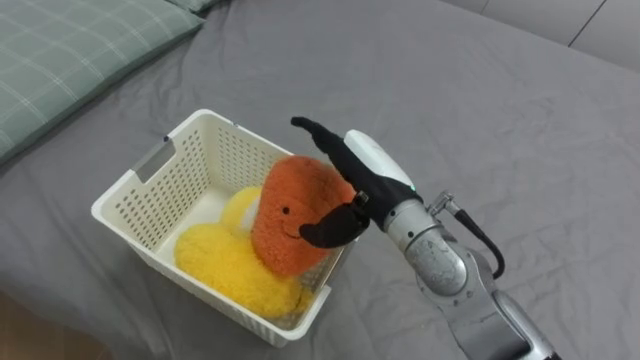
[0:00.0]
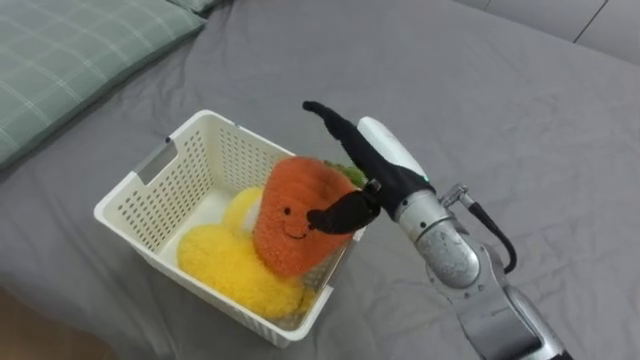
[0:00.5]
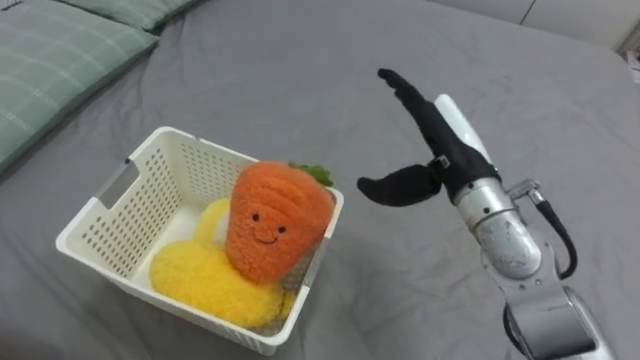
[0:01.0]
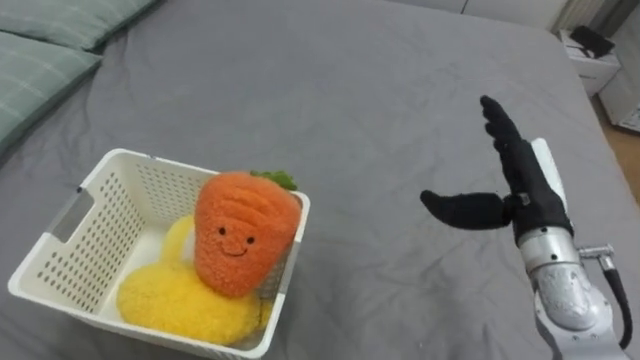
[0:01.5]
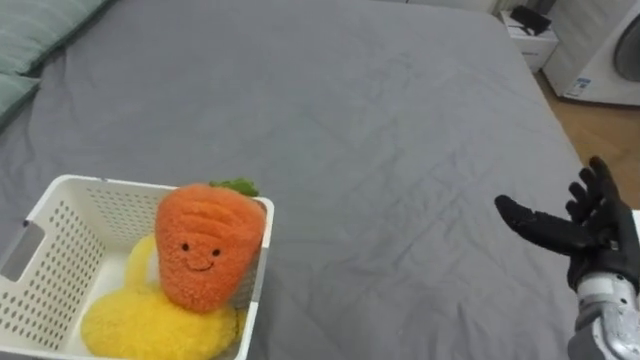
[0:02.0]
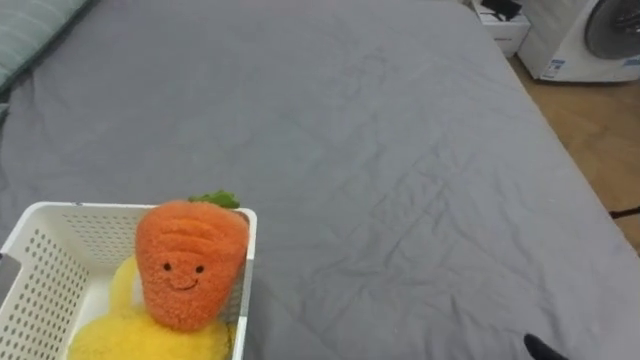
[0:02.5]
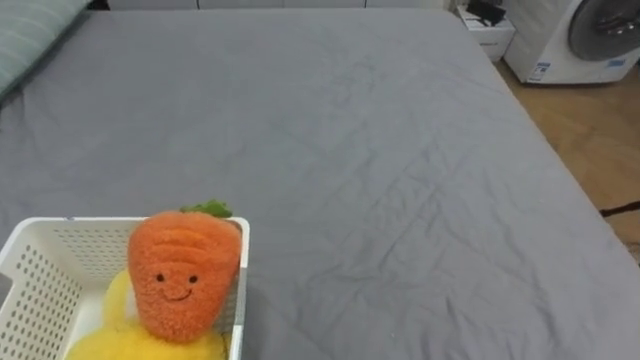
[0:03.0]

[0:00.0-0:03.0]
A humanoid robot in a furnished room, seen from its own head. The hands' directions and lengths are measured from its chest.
Task of the whole recording: Put the toys on the bed into the basket on the left.
0:00.0 to 0:01.5: The right hand is displaced to the right by some 20 cm.

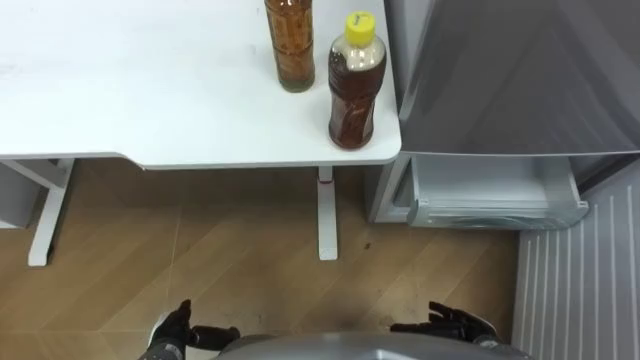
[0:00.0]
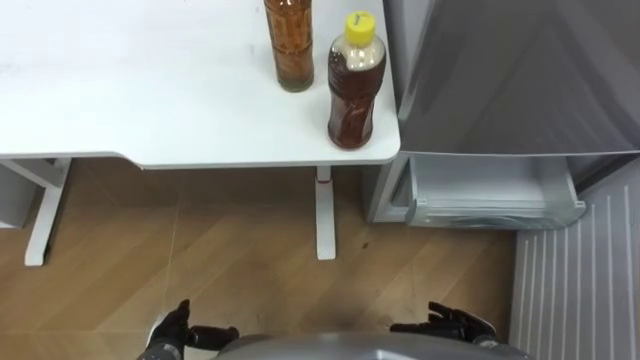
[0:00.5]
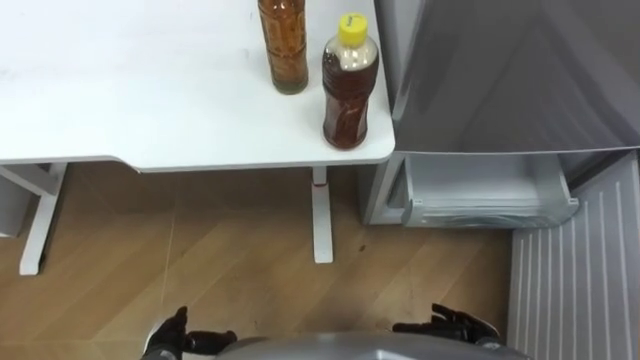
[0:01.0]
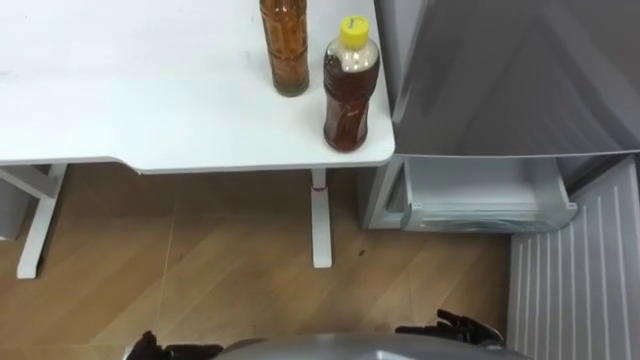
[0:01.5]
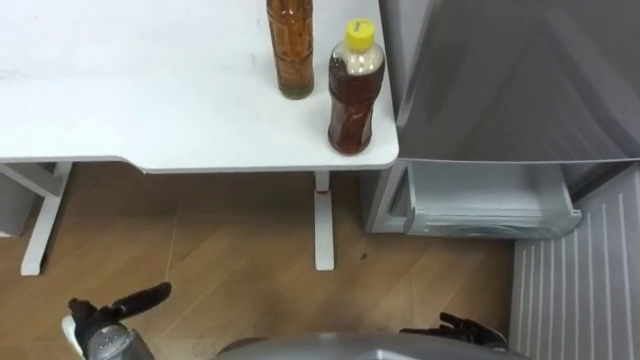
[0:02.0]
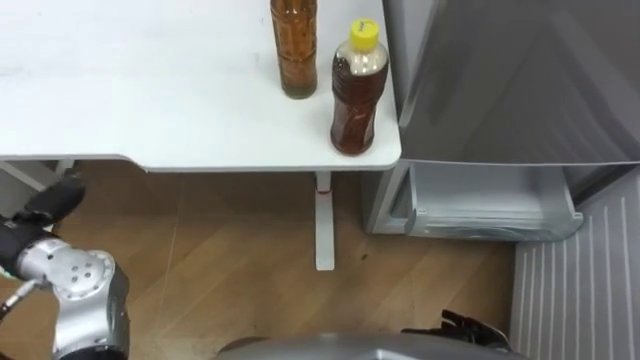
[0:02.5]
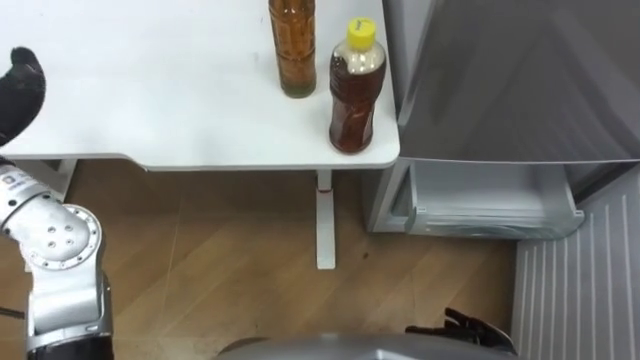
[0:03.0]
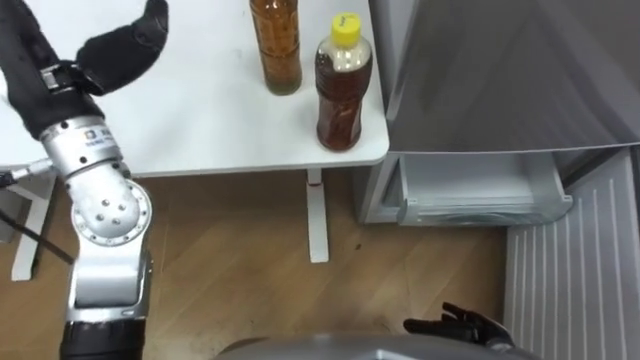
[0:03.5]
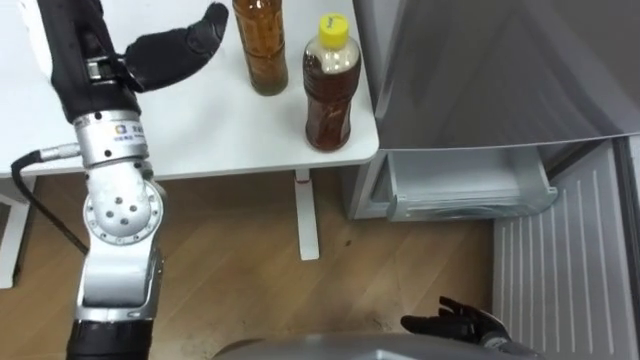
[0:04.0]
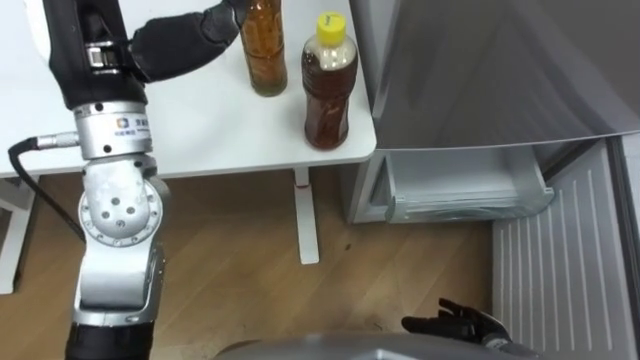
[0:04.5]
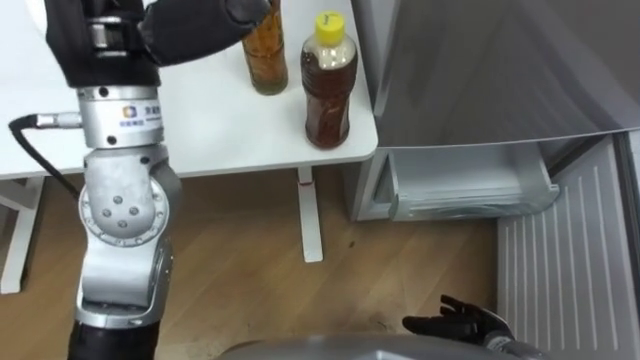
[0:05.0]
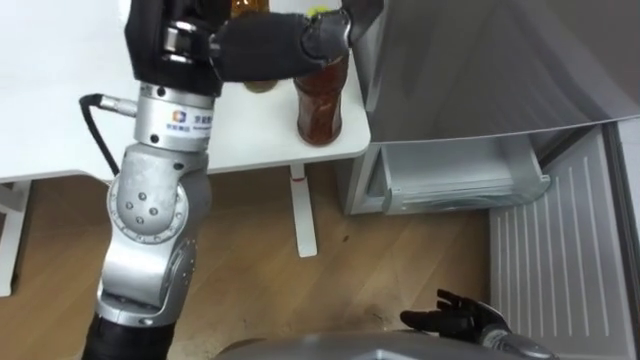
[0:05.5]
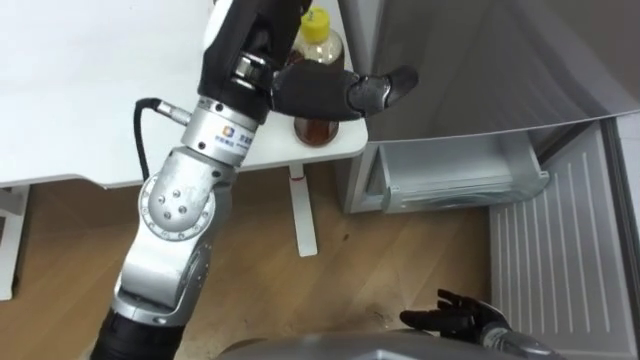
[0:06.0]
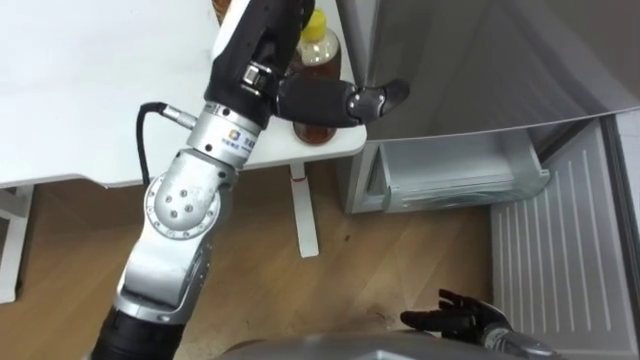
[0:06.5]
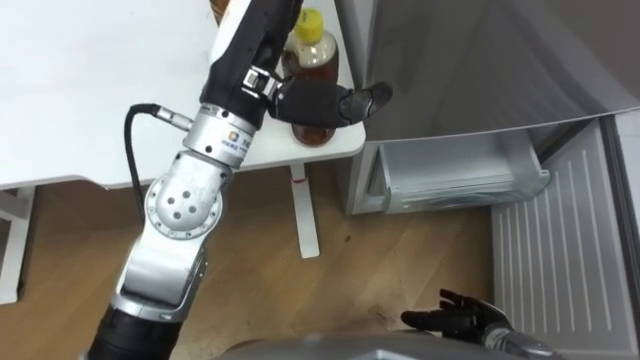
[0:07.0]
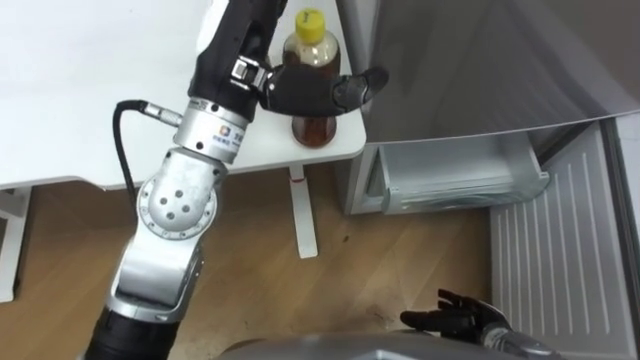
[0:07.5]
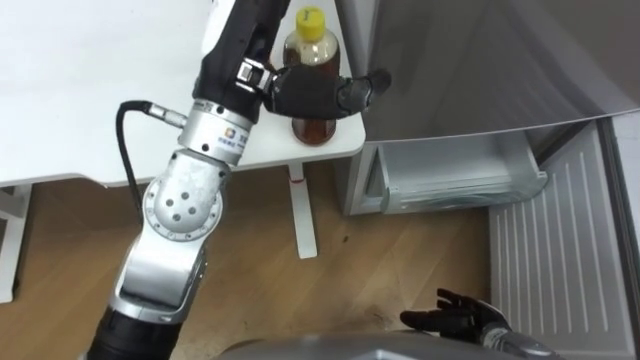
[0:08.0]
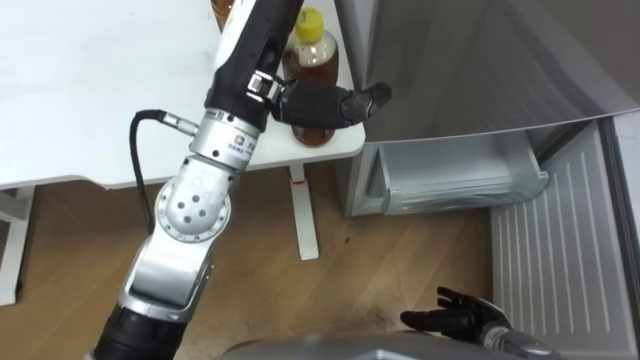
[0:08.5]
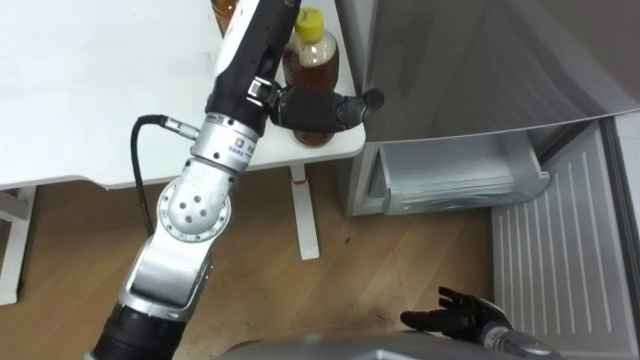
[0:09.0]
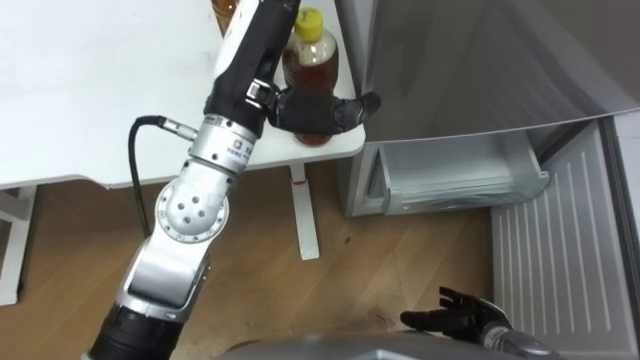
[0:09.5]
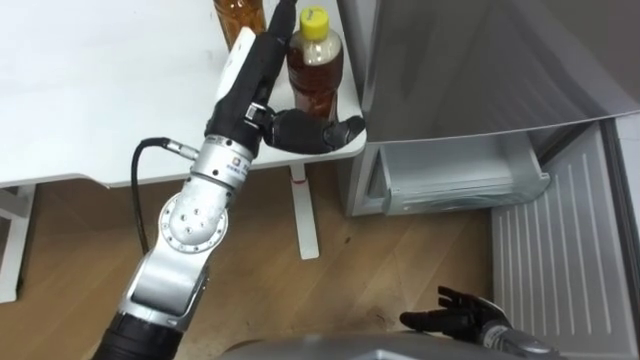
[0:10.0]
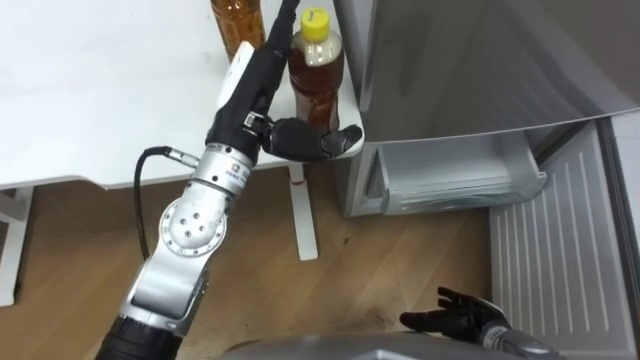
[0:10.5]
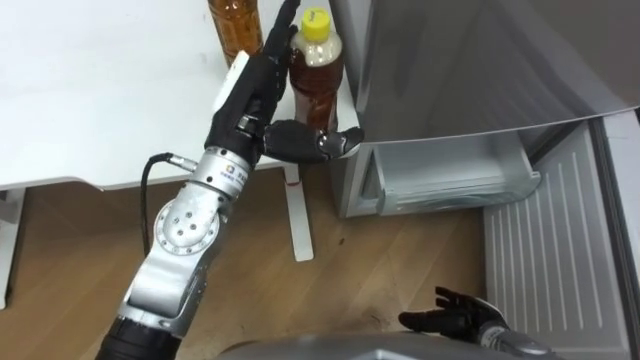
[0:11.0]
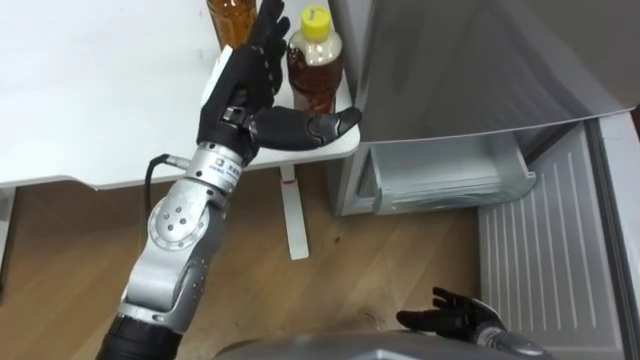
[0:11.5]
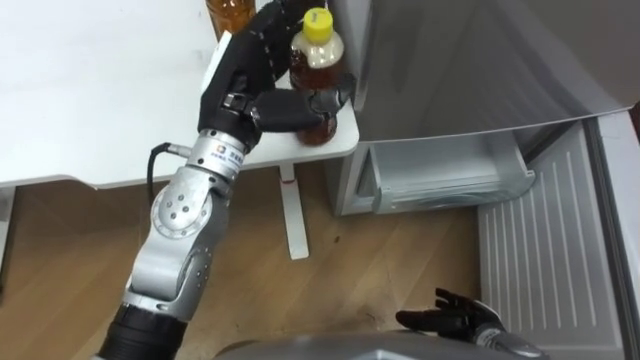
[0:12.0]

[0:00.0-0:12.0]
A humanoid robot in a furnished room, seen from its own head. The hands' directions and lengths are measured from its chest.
Task of the whole recording: Place the drink on the table on the bottom shelf of the refrigerator, then close the drawer and the refrigerator door.
0:04.0 to 0:06.0: The left hand heads to the right, covering roughly 15 cm.
0:06.0 to 0:08.0: There are only small adjustments of the hands.
0:08.0 to 0:10.0: The left hand goes approximately 10 cm downward.

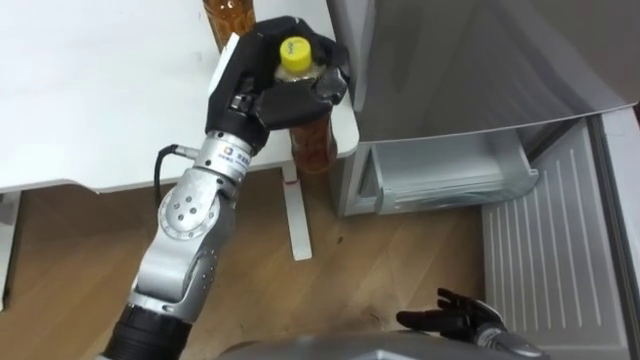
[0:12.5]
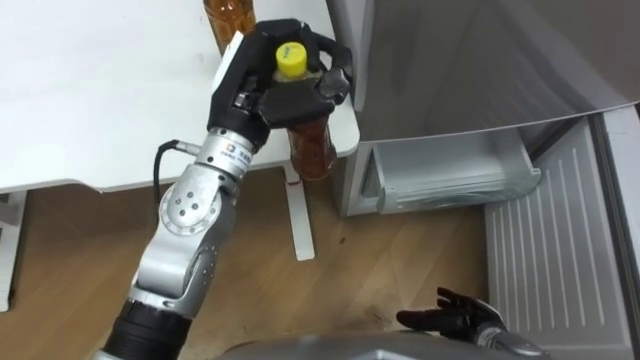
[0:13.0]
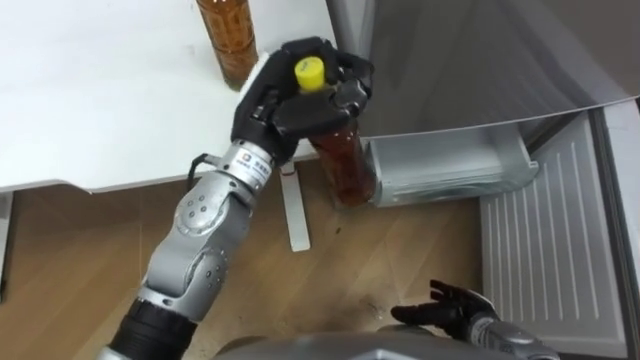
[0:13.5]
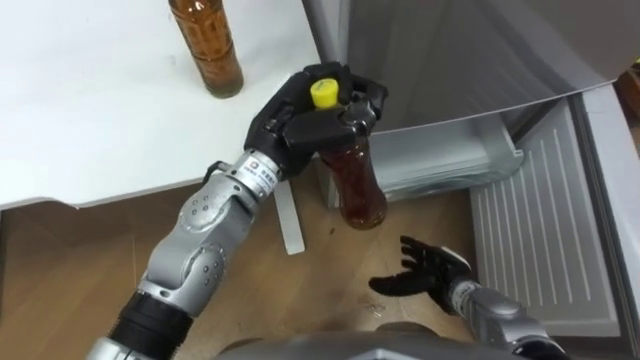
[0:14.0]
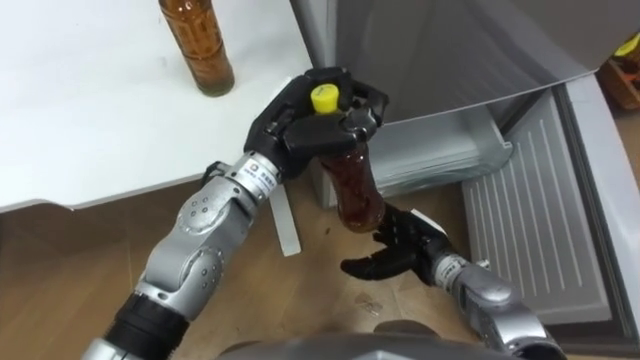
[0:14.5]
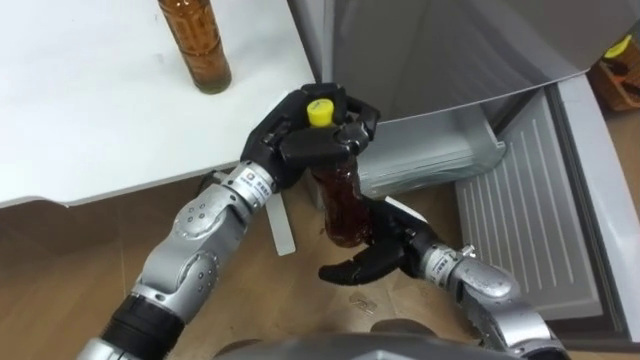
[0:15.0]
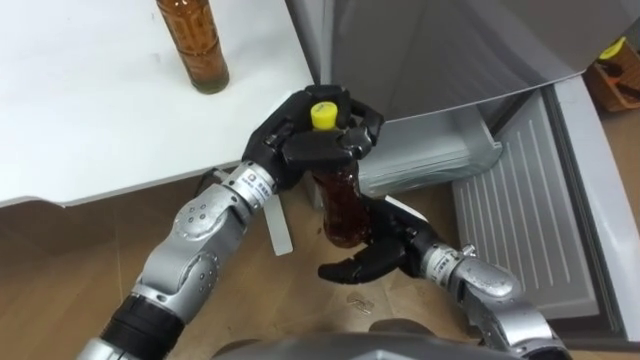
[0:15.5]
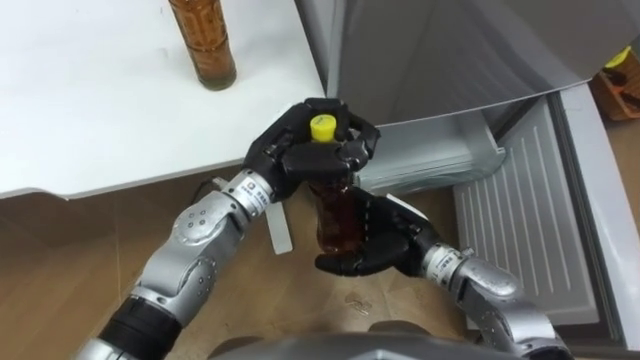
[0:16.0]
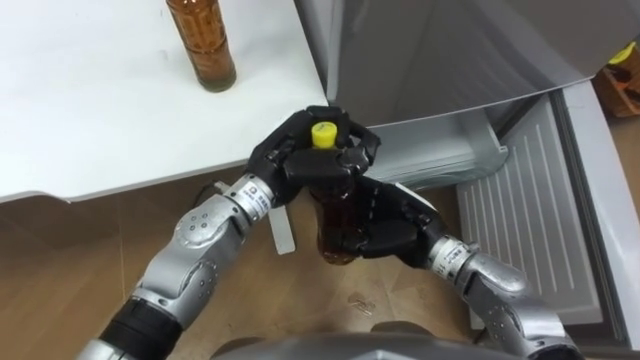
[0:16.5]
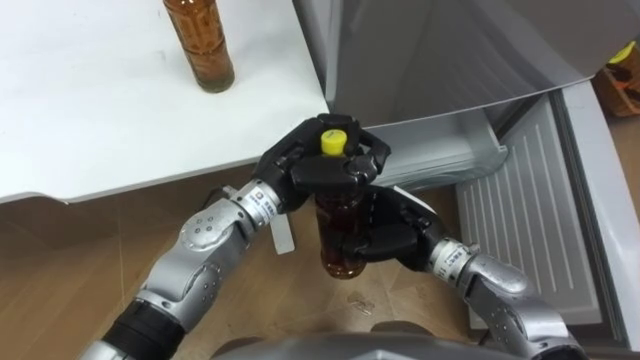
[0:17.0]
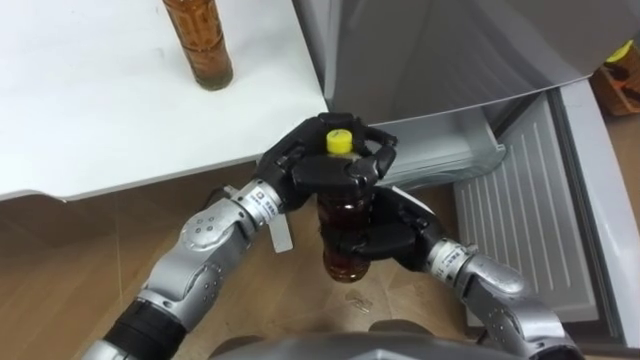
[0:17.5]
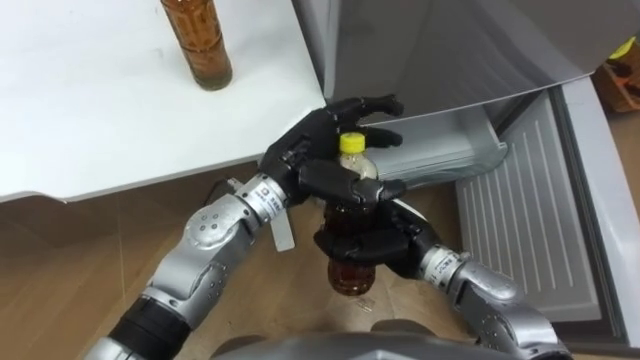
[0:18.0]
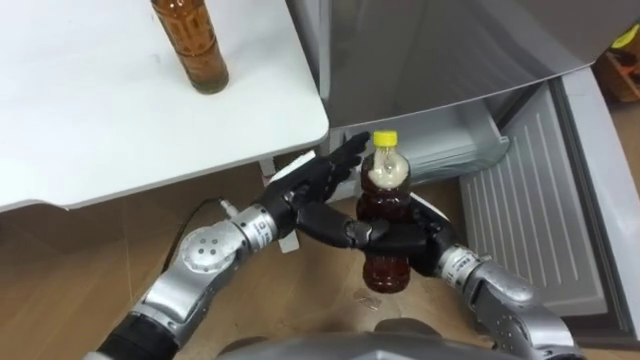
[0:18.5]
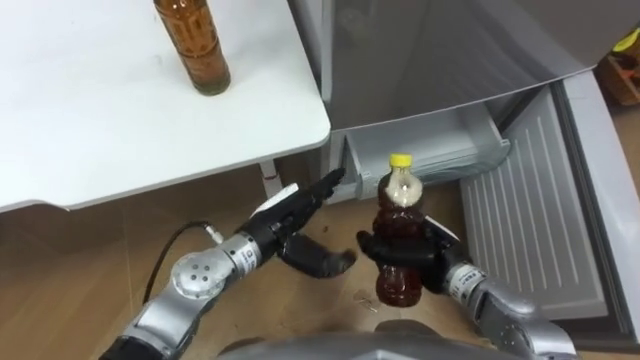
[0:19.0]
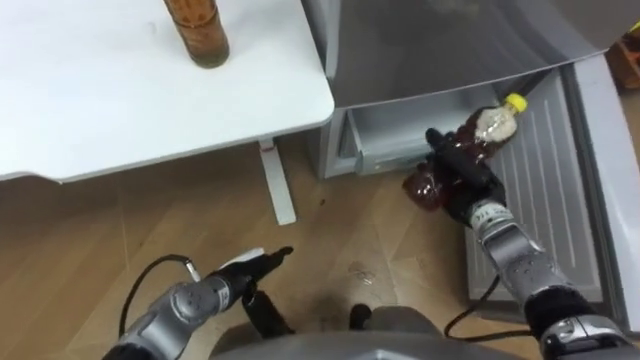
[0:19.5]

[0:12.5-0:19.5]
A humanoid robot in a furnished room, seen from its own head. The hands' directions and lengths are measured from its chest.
Task of the whole recording: Place the drink on the table on the bottom shelf of the refrigerator, then close the drawer and the refrigerator door.
0:12.5 to 0:14.5: The left hand changes place by some 5 cm, while the right hand goes about 15 cm forward, upward and to the left.
0:14.5 to 0:16.0: The right hand goes approximately 5 cm upward.
0:16.0 to 0:17.5: The right hand closes up.
0:17.5 to 0:19.5: The right hand goes approximately 10 cm to the right and forward, while the left hand moves downward, backward and to the left, some 20 cm, and opens.
